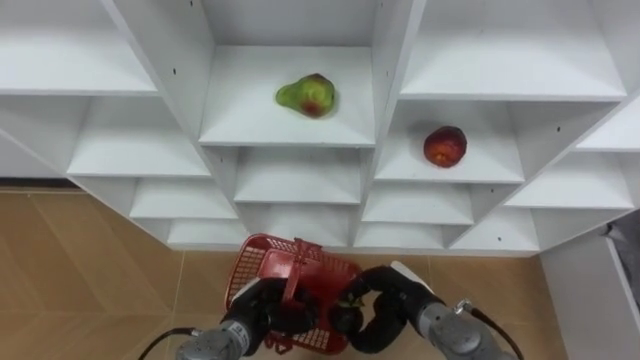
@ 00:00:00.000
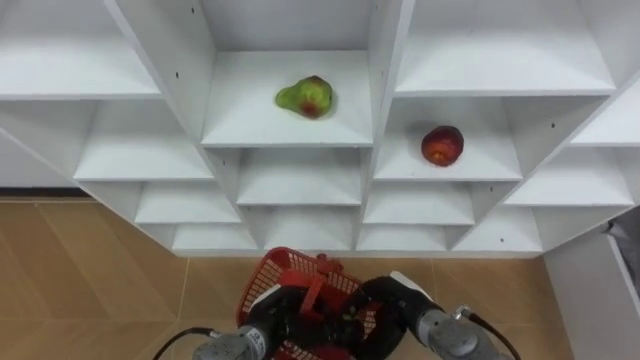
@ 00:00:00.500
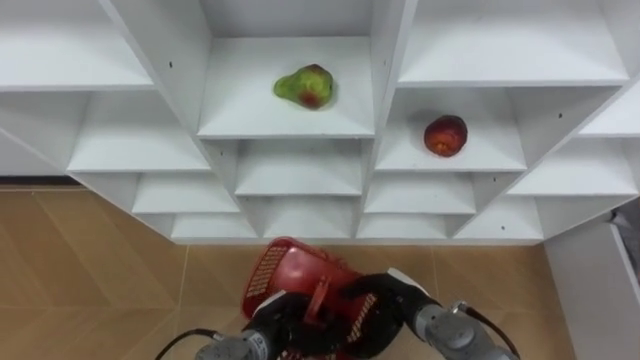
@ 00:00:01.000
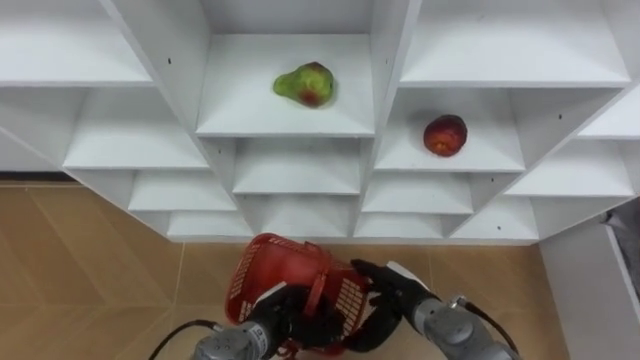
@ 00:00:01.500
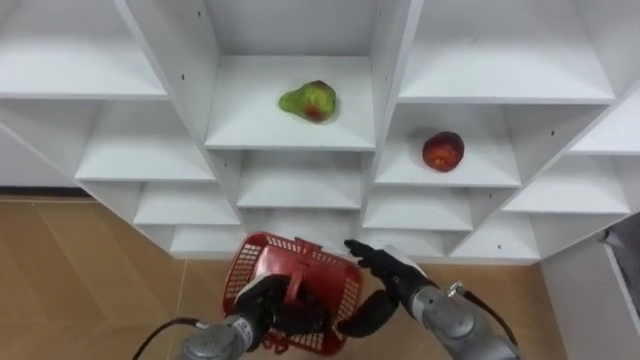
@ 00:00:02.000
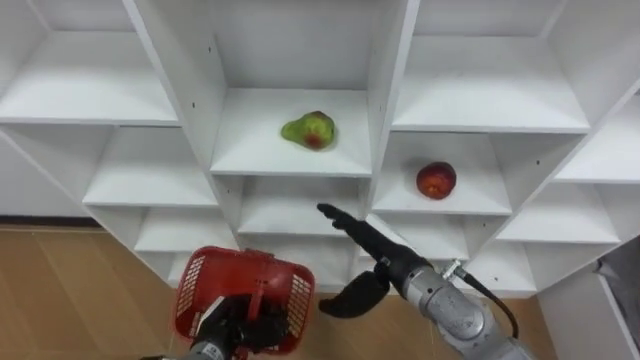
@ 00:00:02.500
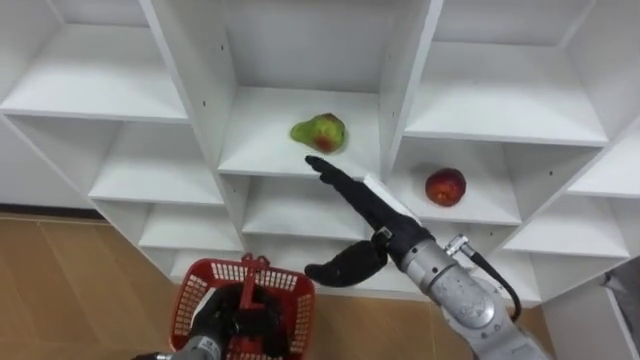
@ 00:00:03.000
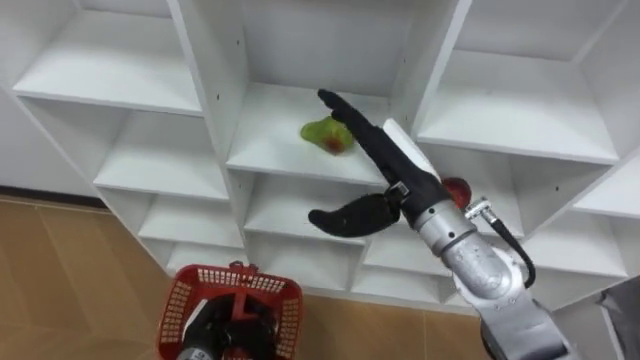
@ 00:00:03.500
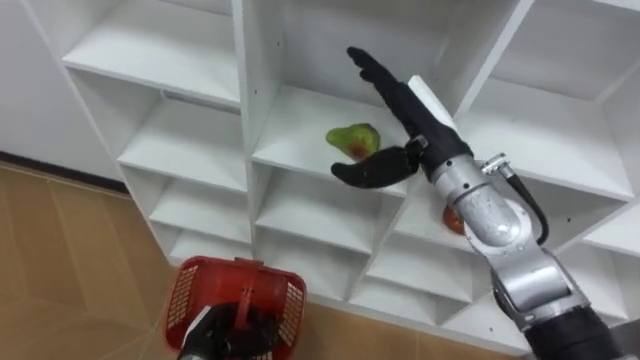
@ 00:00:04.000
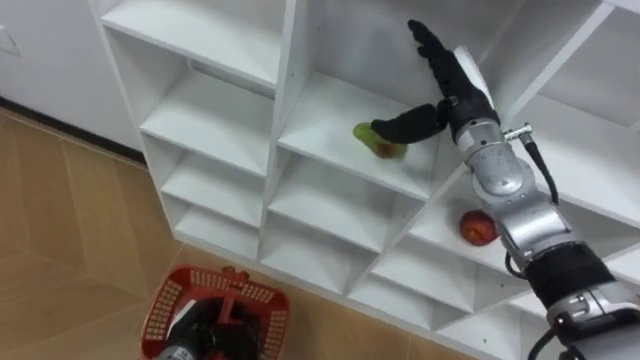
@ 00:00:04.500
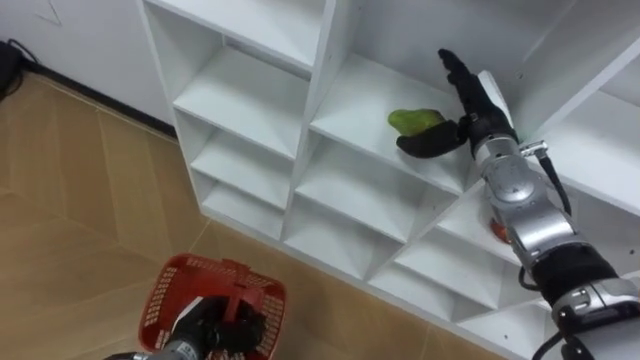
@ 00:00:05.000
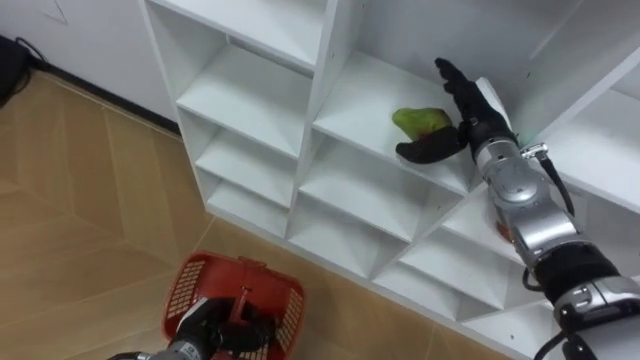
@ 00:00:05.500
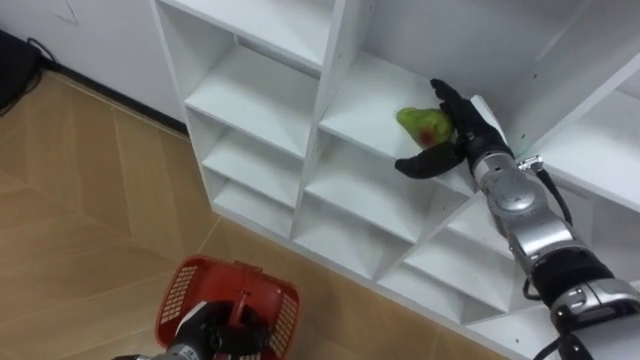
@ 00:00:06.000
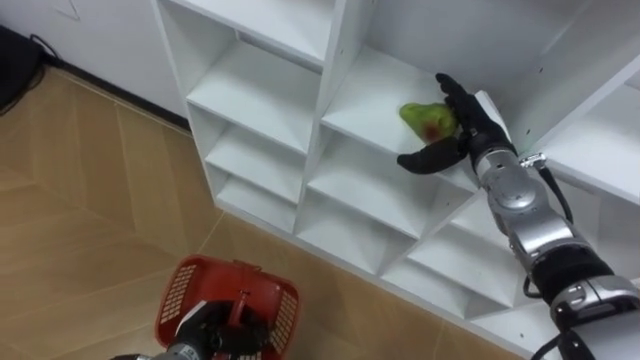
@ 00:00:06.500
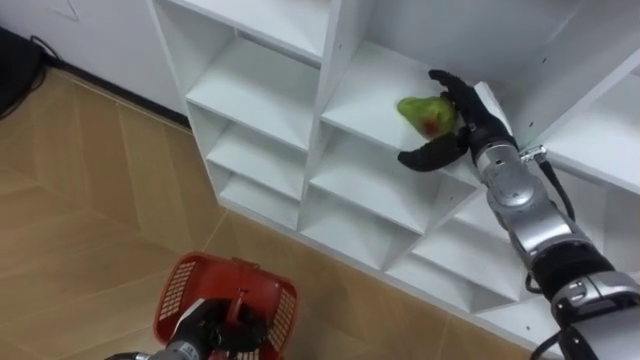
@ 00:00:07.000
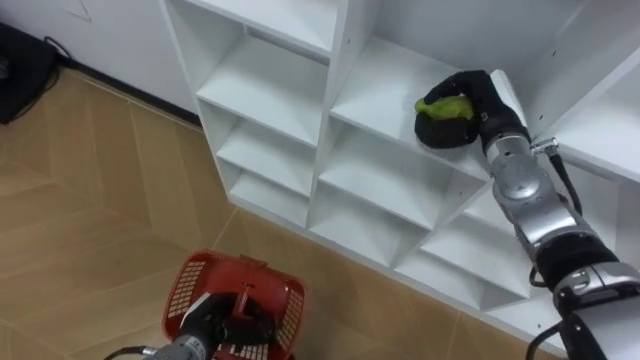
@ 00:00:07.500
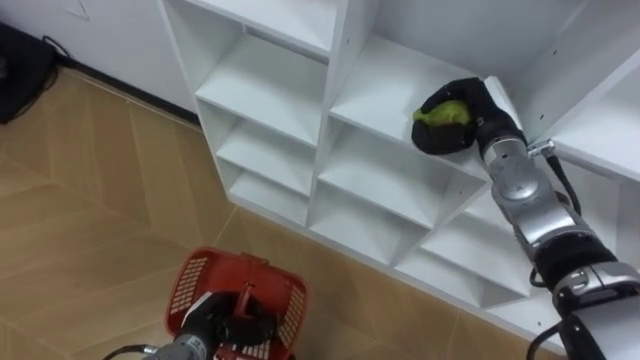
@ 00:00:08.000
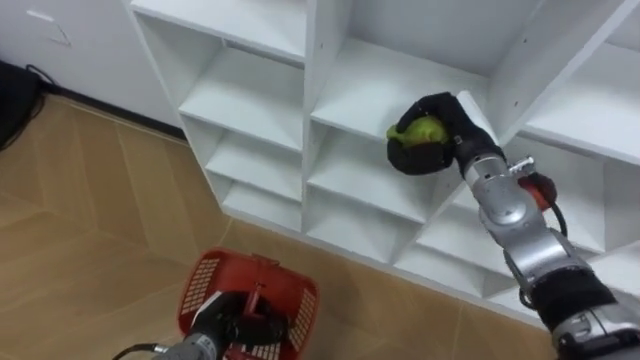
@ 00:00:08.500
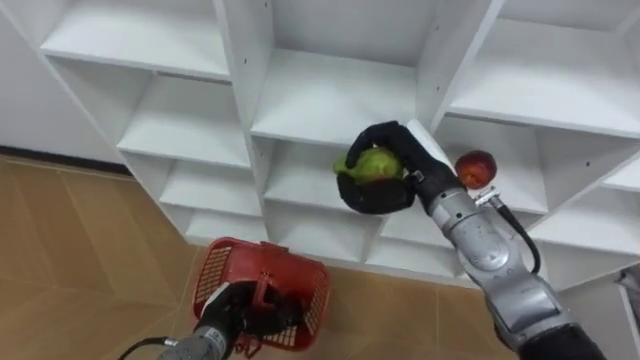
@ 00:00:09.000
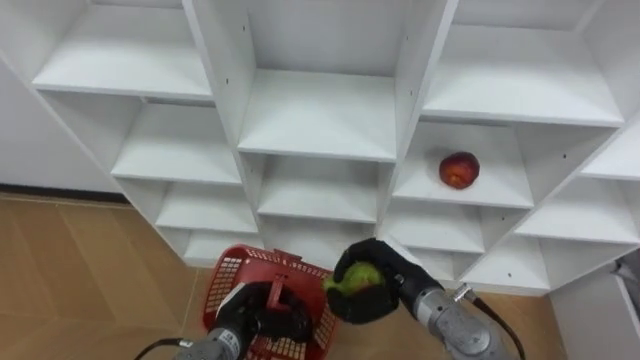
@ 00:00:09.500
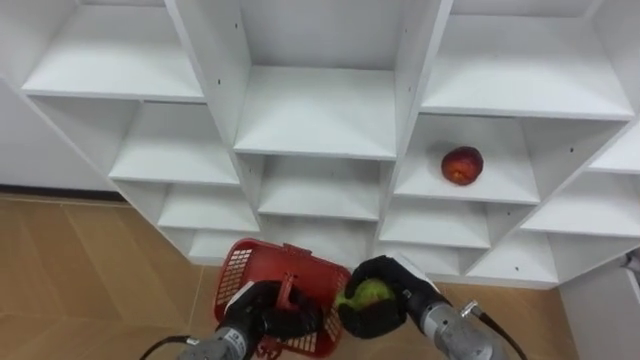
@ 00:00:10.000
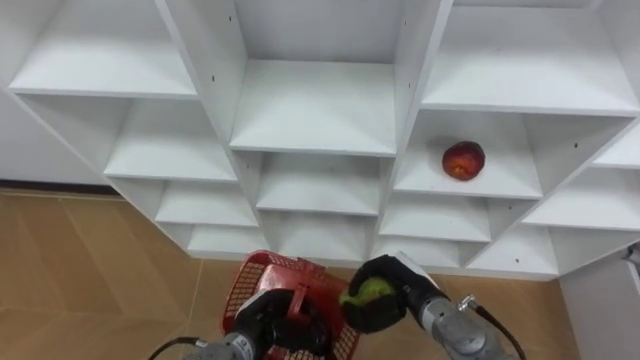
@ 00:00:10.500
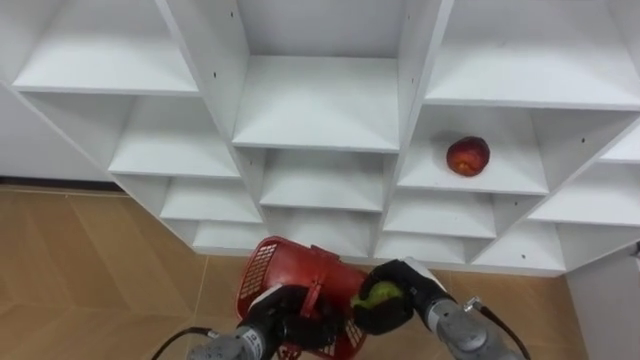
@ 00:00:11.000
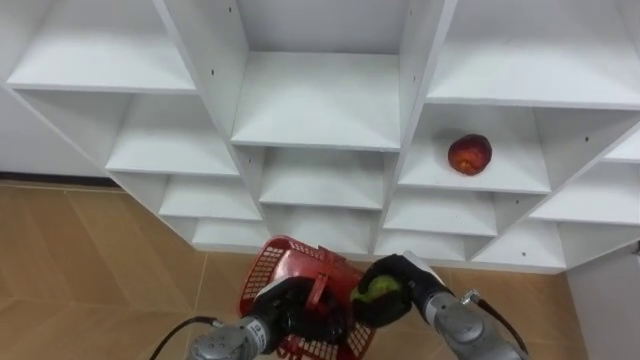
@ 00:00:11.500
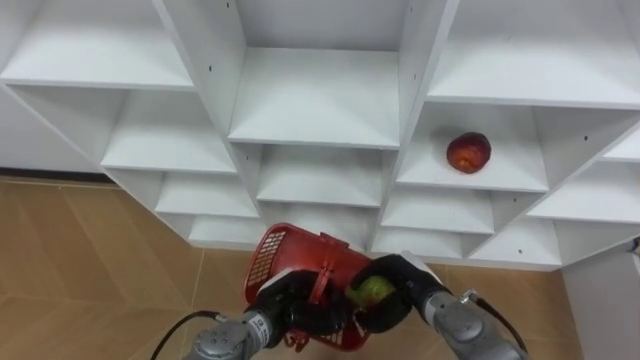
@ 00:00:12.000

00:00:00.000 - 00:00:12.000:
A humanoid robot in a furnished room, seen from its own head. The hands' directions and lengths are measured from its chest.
Task of the whole recording: Hold the basket and collect the fruits from 3 different cells of the closet into it.
00:00:00.000 - 00:00:02.000: The right hand opens.
00:00:02.000 - 00:00:04.000: The right hand is displaced upward by approximately 20 cm. The left hand moves to the left, approximately 5 cm.
00:00:04.000 - 00:00:06.000: The right hand goes roughly 15 cm to the right, downward and forward.
00:00:06.000 - 00:00:08.000: The right hand closes up.
00:00:08.000 - 00:00:10.000: The right hand goes some 25 cm backward, downward and to the left. The left hand shifts some 5 cm to the right.
00:00:10.000 - 00:00:12.000: The left hand moves roughly 5 cm.

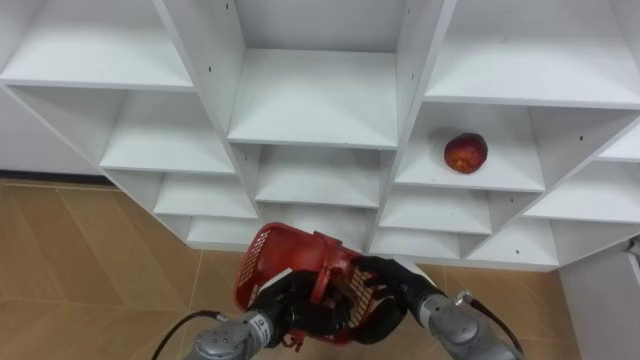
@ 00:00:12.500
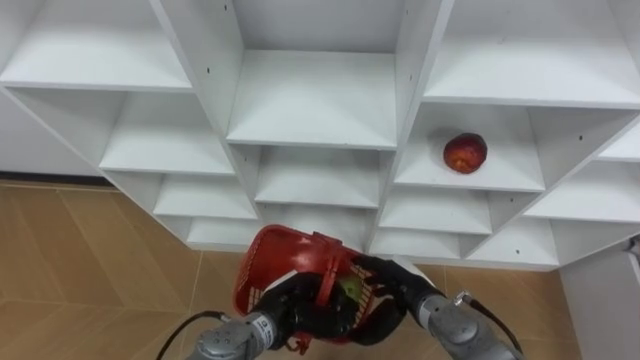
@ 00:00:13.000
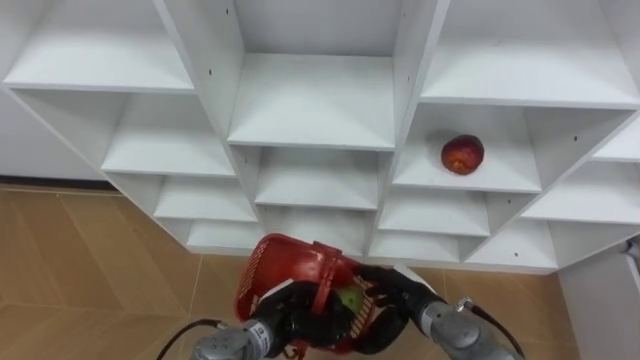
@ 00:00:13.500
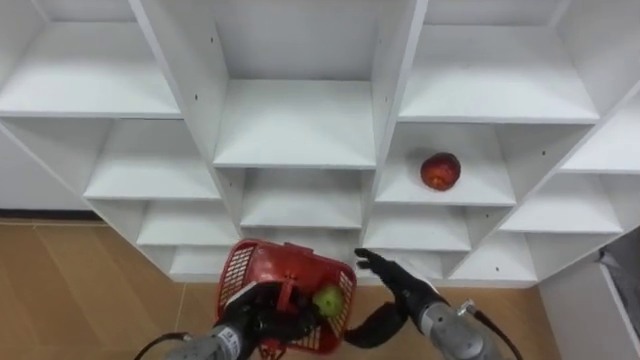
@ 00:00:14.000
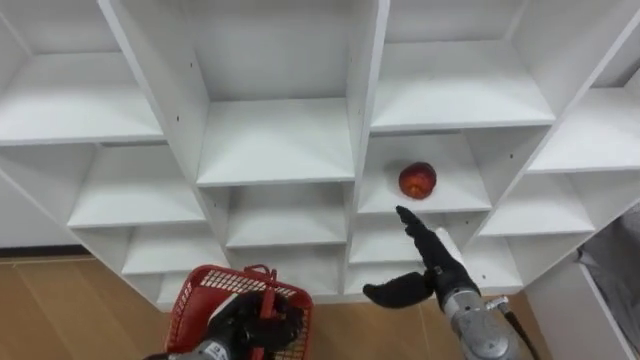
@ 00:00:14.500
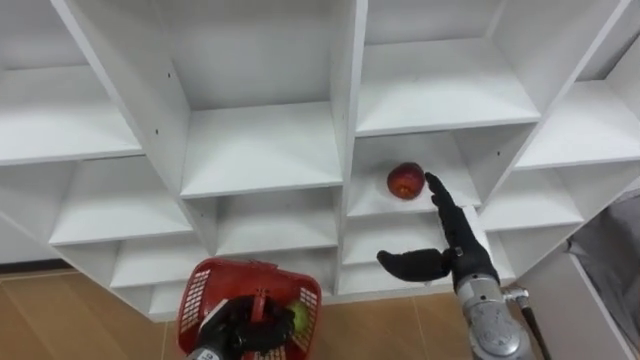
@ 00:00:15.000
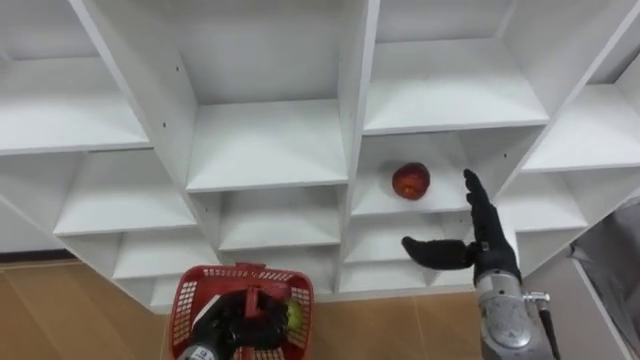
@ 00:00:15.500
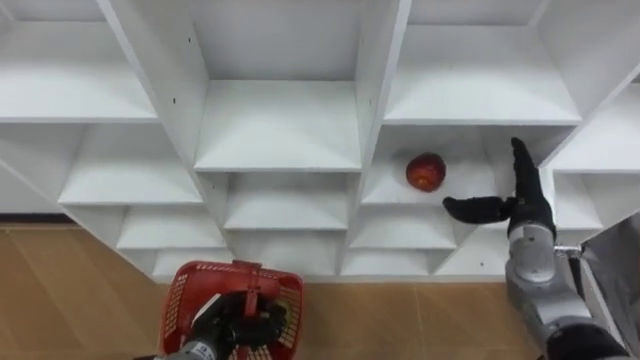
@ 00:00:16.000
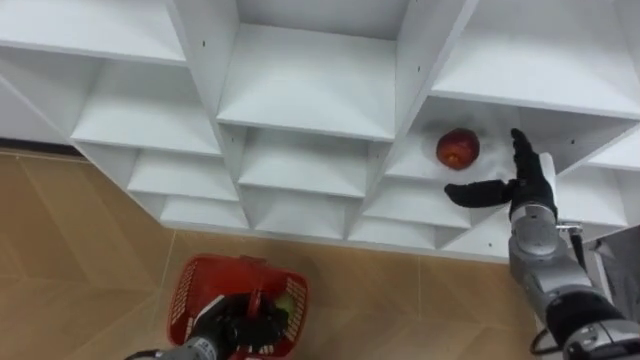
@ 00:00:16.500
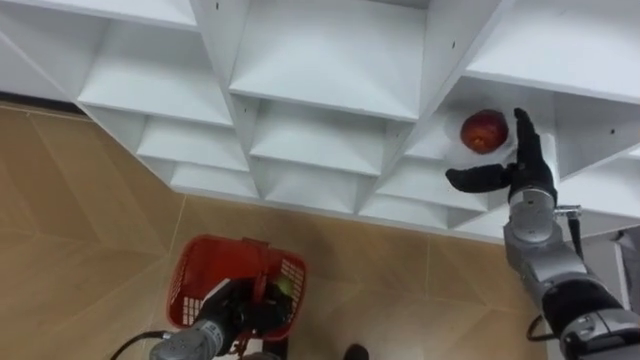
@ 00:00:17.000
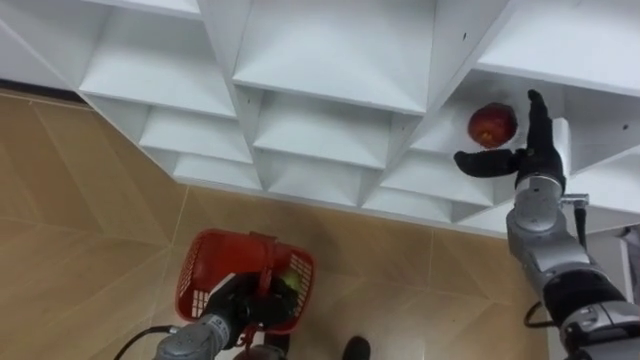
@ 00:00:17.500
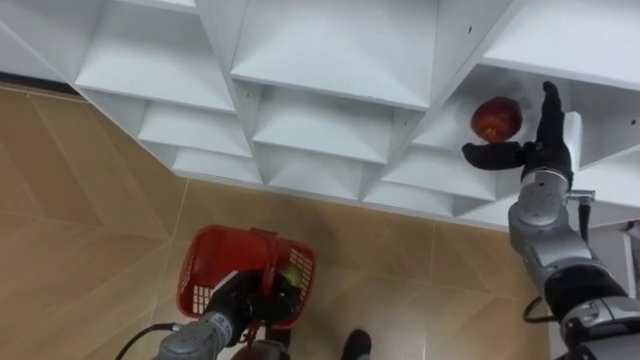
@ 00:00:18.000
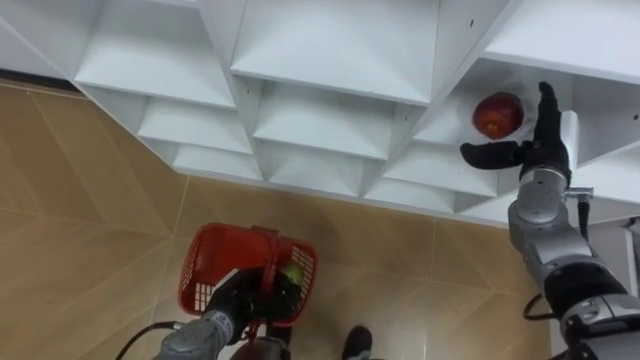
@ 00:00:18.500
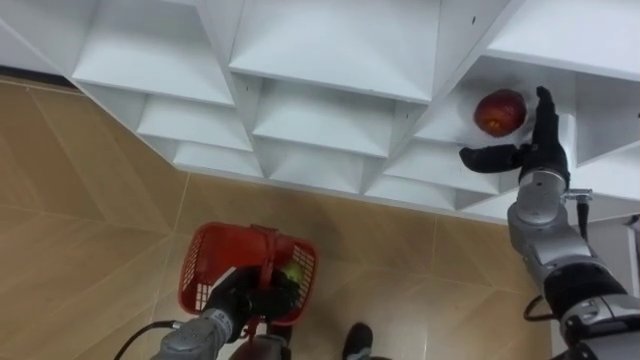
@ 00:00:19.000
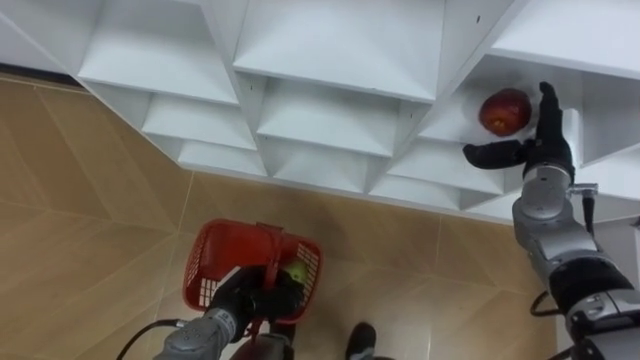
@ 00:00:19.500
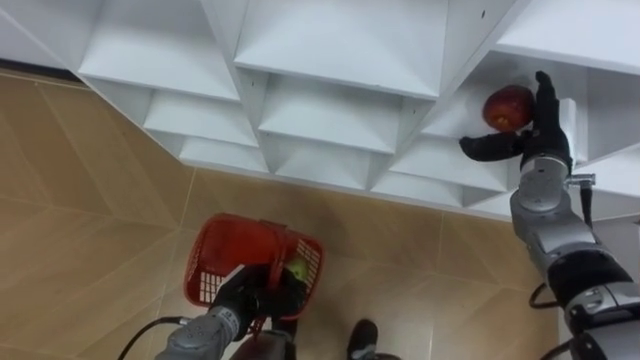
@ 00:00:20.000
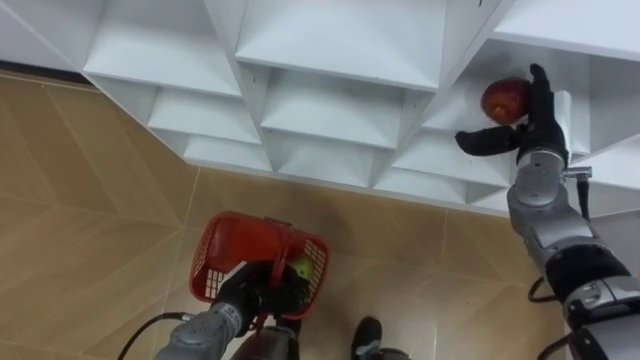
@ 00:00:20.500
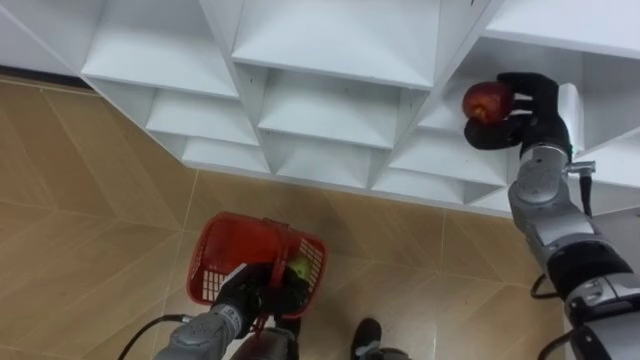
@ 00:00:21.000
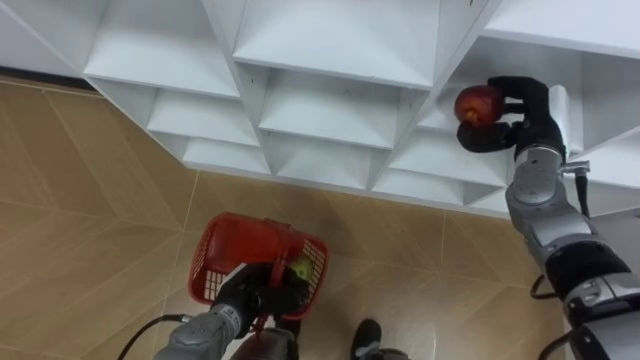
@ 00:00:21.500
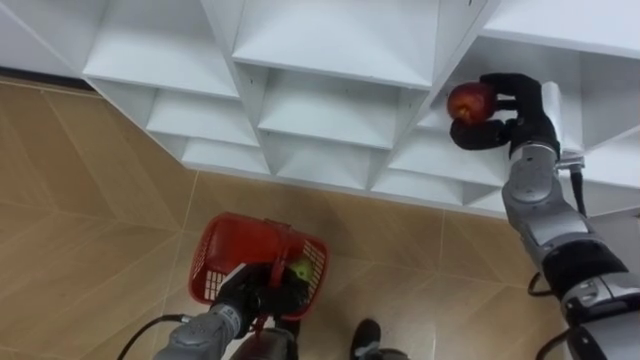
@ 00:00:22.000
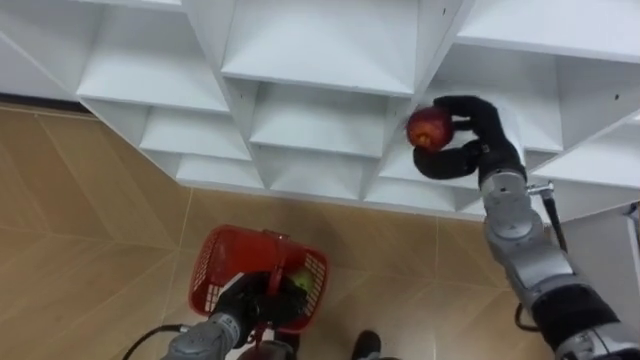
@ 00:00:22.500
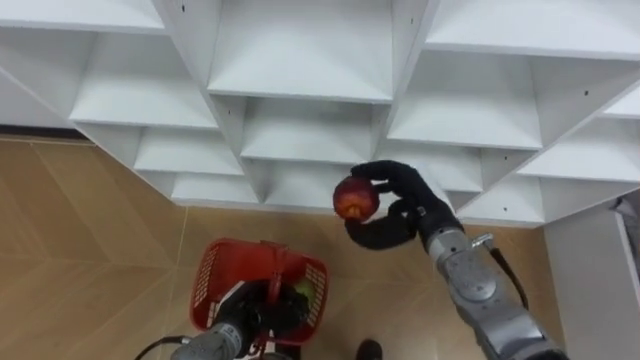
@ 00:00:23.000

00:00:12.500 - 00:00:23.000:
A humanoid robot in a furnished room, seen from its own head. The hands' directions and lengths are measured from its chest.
Task of the whole recording: Hold the basket and collect the fruits from 3 different cells of the closet into it.
00:00:12.500 - 00:00:14.500: The right hand shifts by about 5 cm, while the left hand goes roughly 5 cm to the left.
00:00:14.500 - 00:00:16.500: The right hand travels to the right, forward and upward by approximately 15 cm.
00:00:16.500 - 00:00:19.000: The right hand changes place by about 5 cm.
00:00:19.000 - 00:00:21.000: The right hand closes its fingers.
00:00:21.000 - 00:00:23.000: The right hand travels to the left, backward and downward by some 15 cm.
